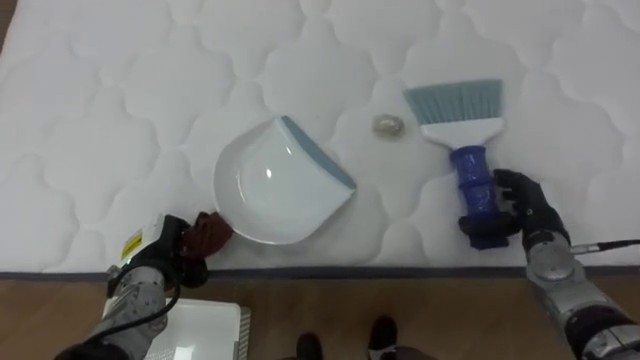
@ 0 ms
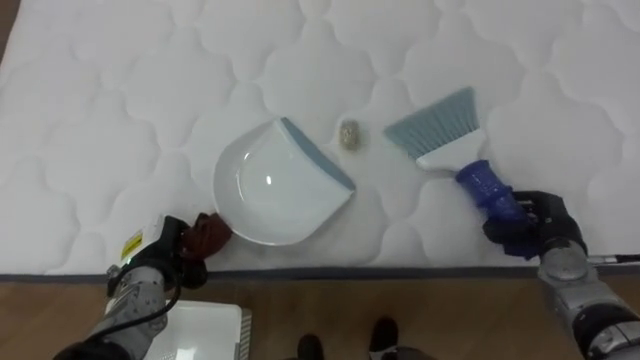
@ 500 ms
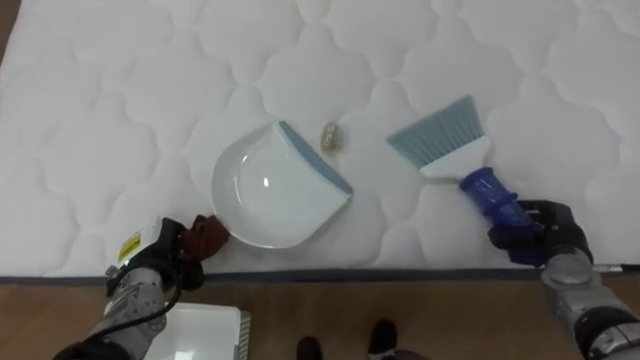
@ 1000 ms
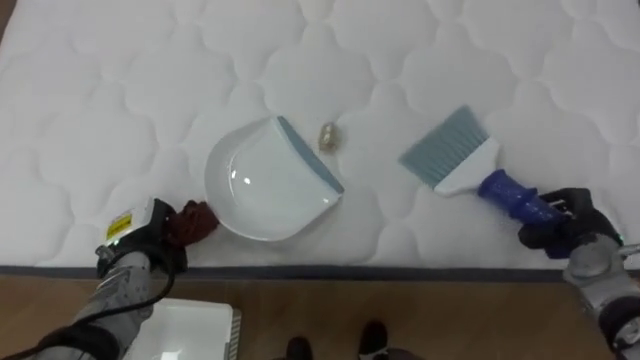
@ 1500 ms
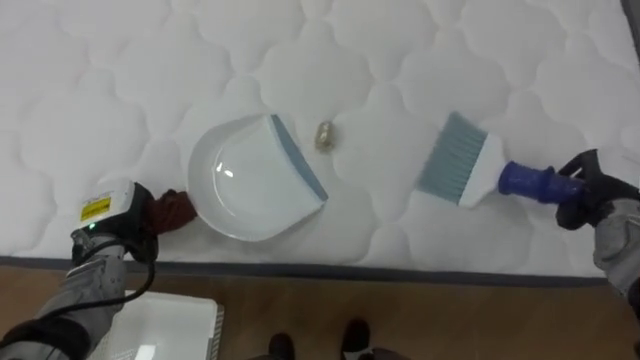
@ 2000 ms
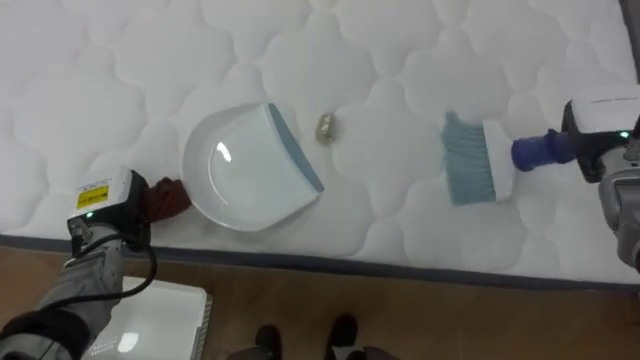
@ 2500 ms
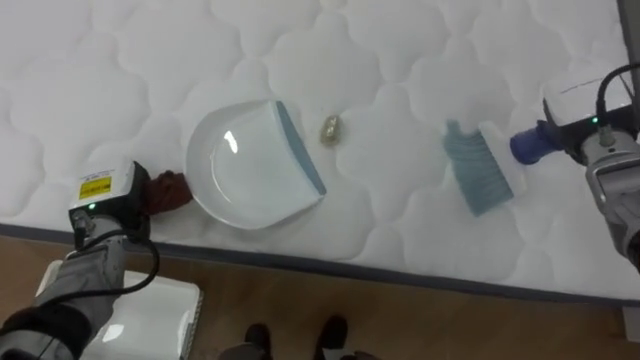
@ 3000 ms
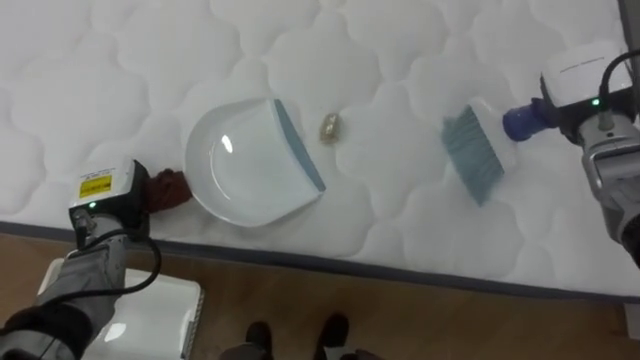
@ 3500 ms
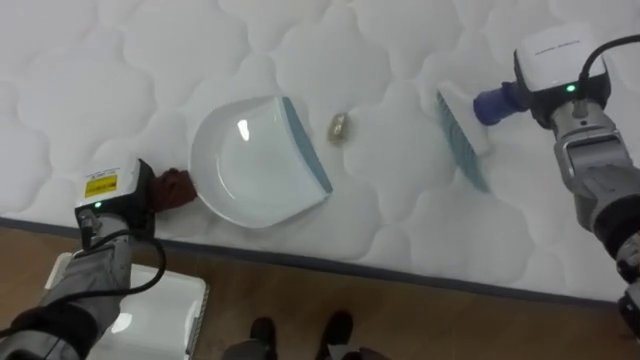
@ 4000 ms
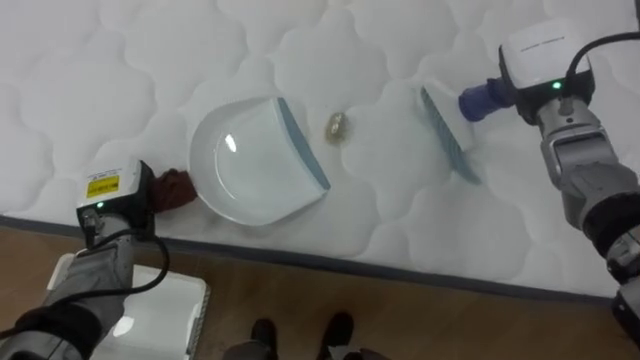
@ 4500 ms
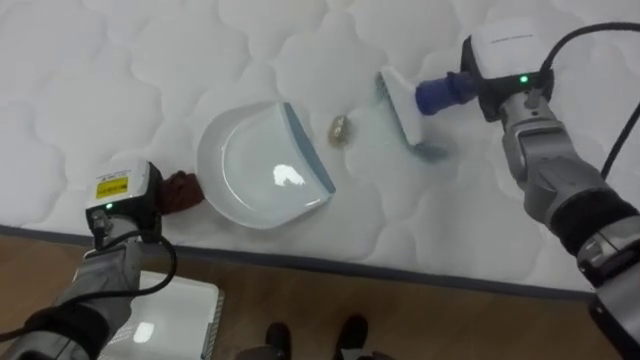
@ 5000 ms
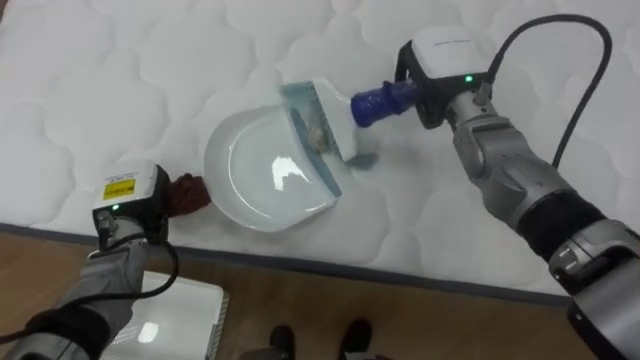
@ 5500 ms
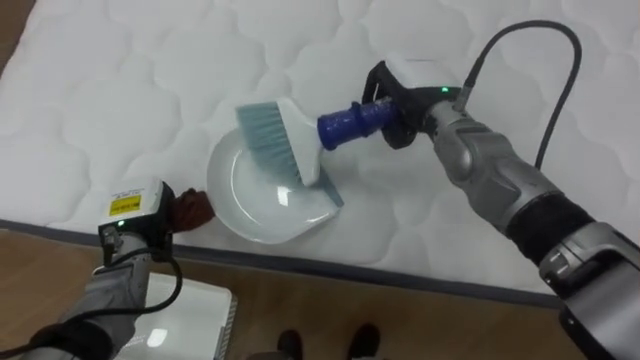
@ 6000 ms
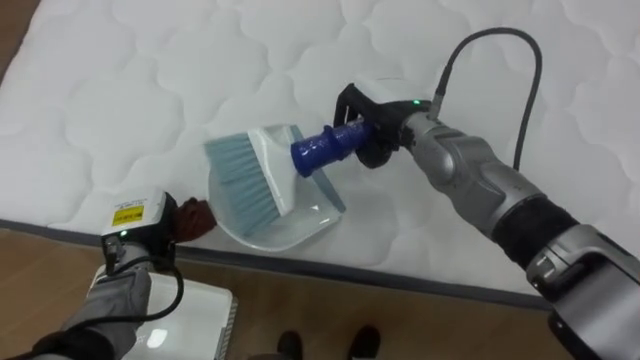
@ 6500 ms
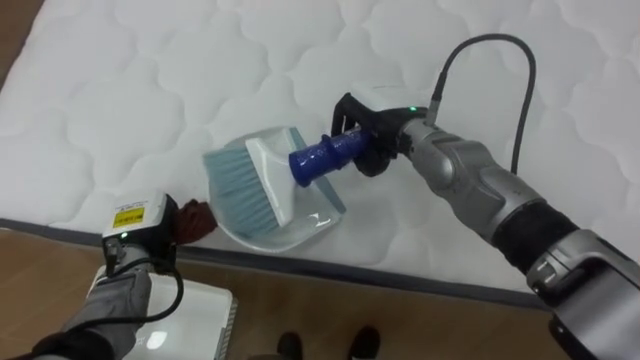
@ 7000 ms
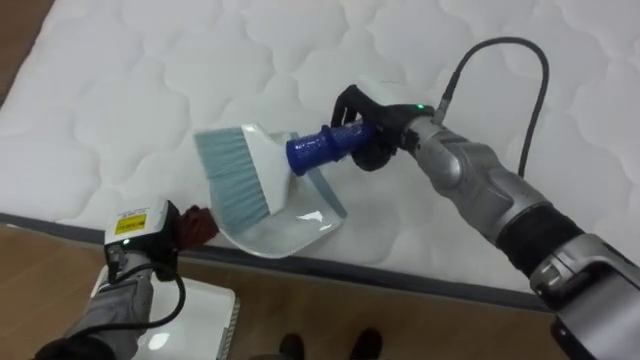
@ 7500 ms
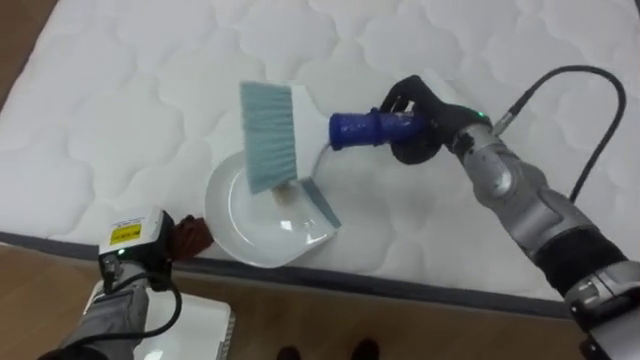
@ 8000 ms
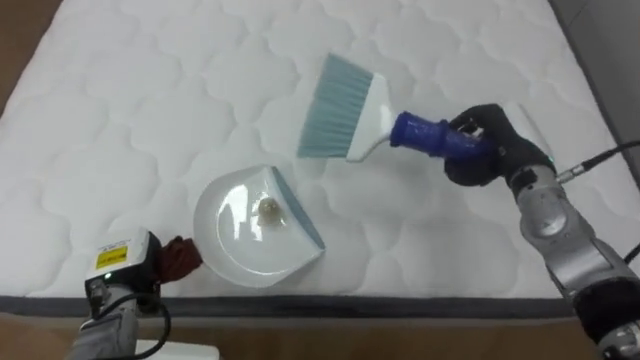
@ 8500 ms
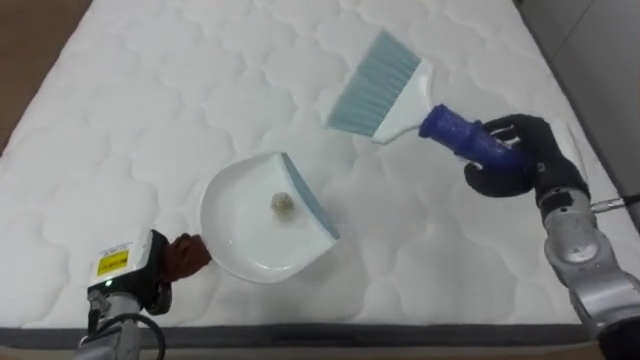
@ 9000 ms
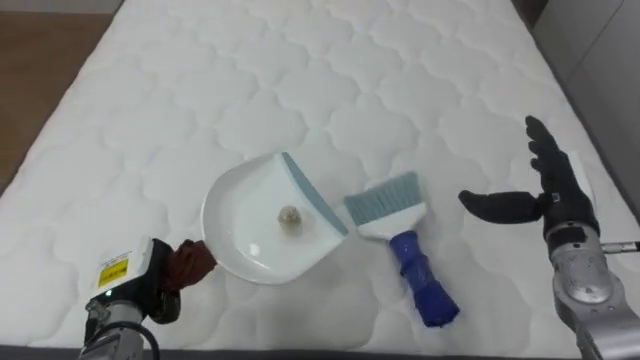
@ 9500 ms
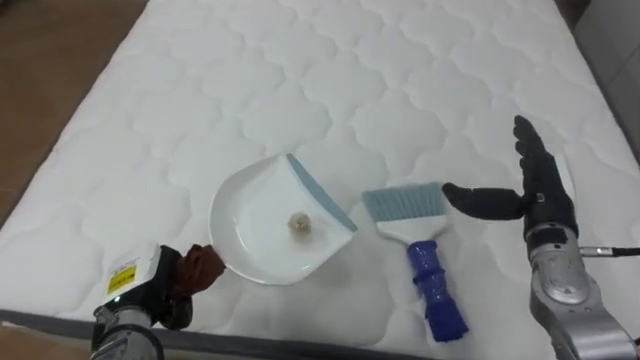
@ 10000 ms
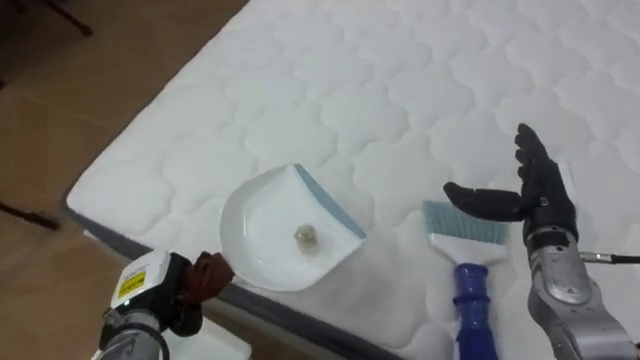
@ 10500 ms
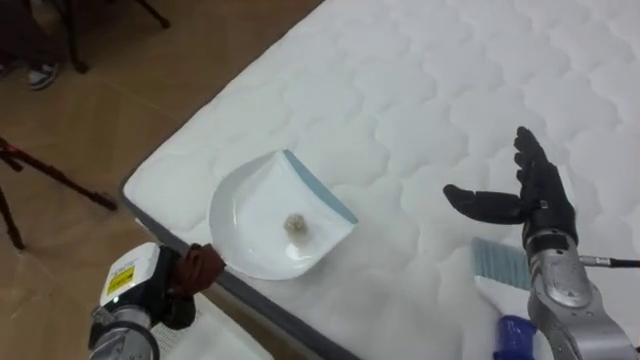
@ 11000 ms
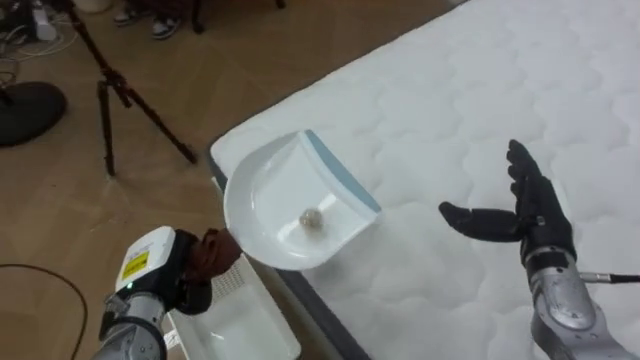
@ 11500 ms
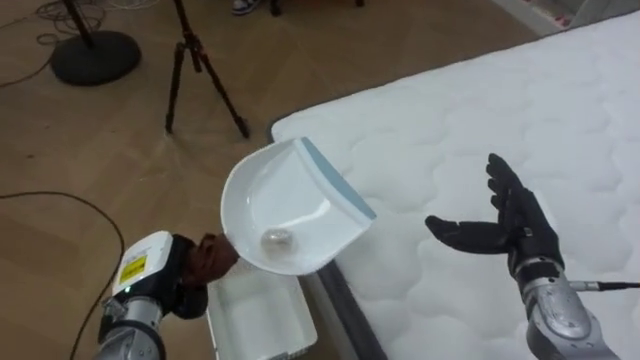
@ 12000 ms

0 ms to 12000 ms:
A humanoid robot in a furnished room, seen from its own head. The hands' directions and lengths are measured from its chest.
Task of the whole recording: Pick up the brush on your right and the dustpan on your left. Use the brush to sweep the crumpled paper on the bed into the dustpan, then turn left and empty it into the basket.
0 ms to 2000 ms: The left hand changes place by approximately 5 cm; the right hand is displaced to the right and upward by roughly 10 cm, and closes its fingers.
2000 ms to 4000 ms: The right hand heads upward, to the left and forward, covering about 20 cm.
4000 ms to 6000 ms: The right hand shifts some 15 cm to the left.
8000 ms to 10000 ms: The right hand is displaced to the right, backward and downward by some 15 cm, and opens up. Meanwhile the left hand heads backward, covering some 5 cm.
10000 ms to 12000 ms: The robot faces about 60 degrees further to its left.

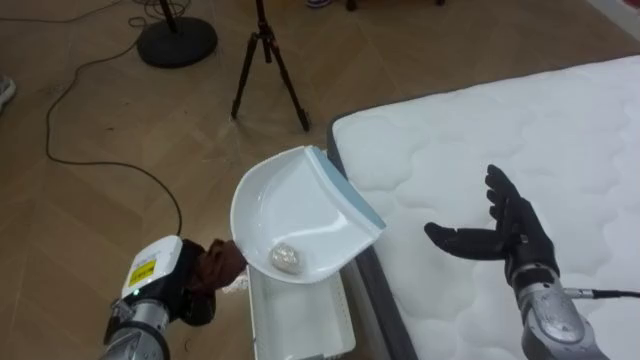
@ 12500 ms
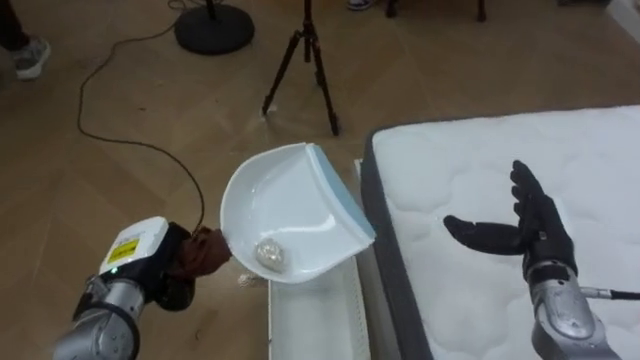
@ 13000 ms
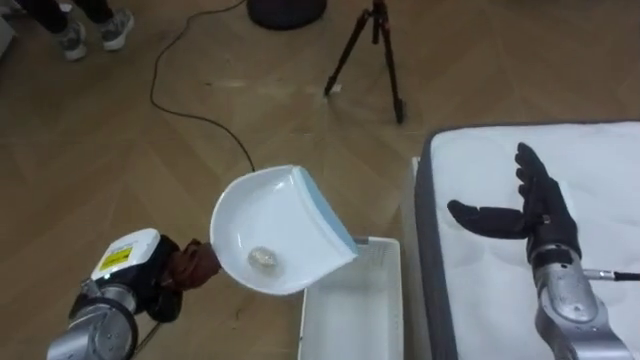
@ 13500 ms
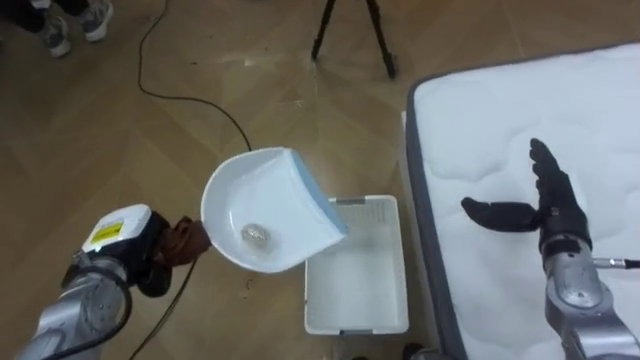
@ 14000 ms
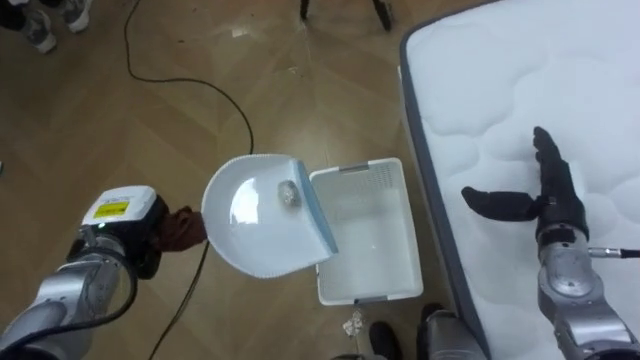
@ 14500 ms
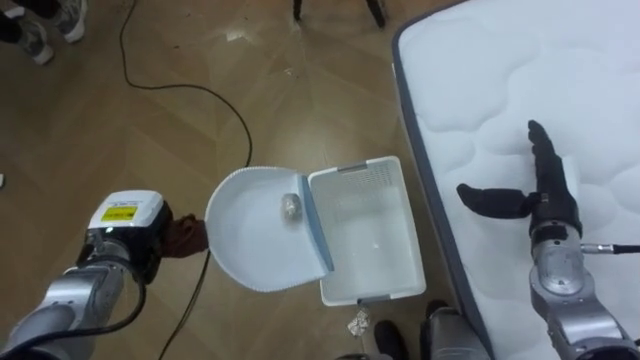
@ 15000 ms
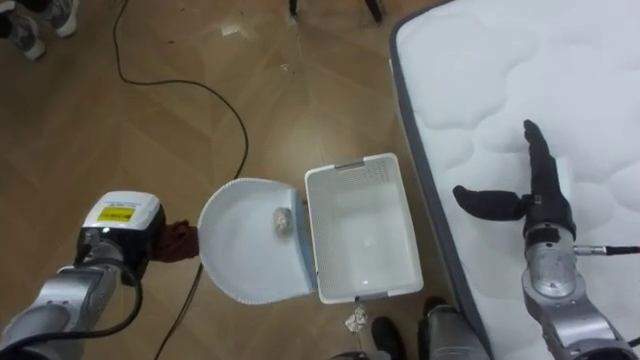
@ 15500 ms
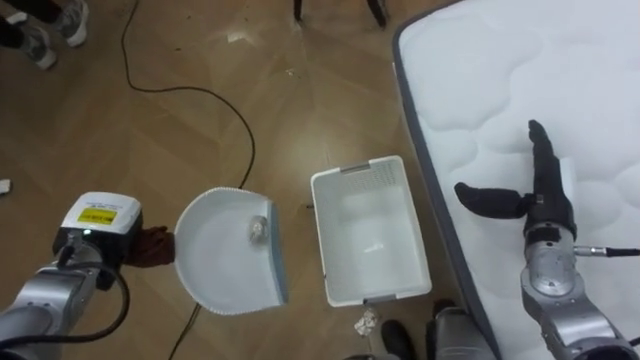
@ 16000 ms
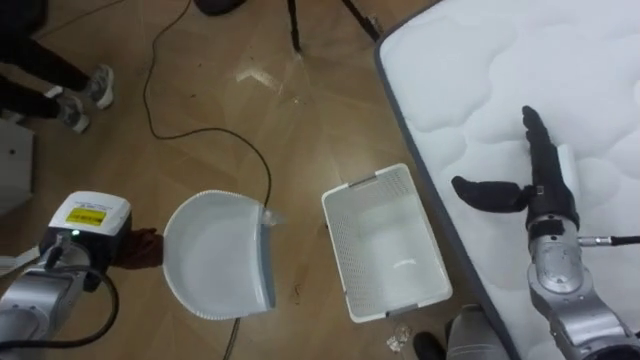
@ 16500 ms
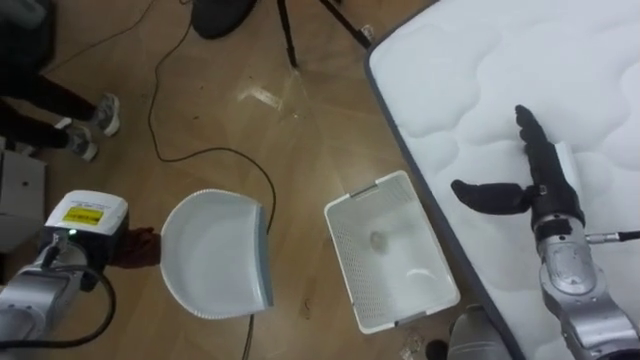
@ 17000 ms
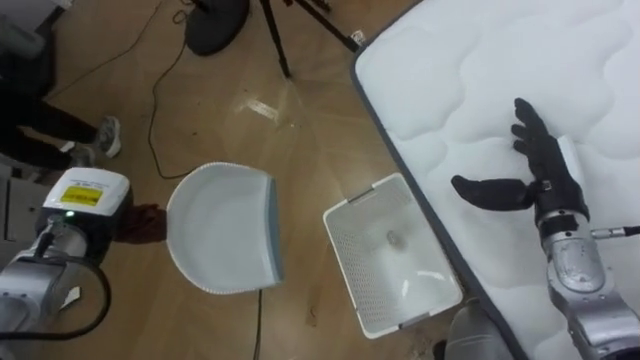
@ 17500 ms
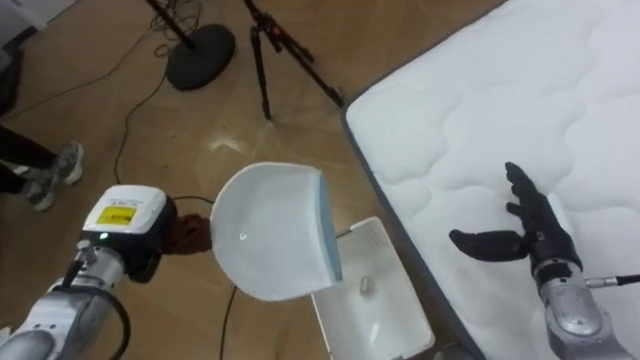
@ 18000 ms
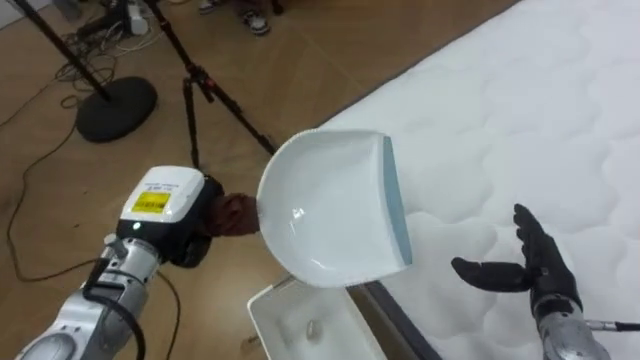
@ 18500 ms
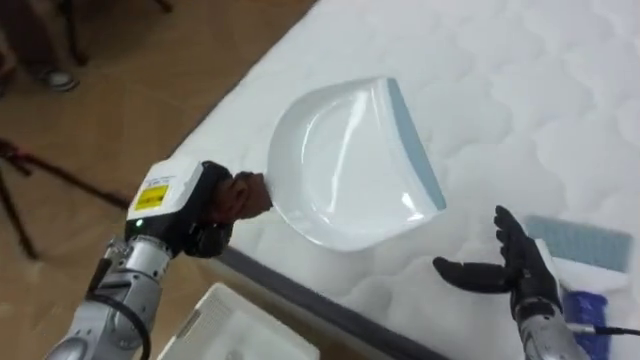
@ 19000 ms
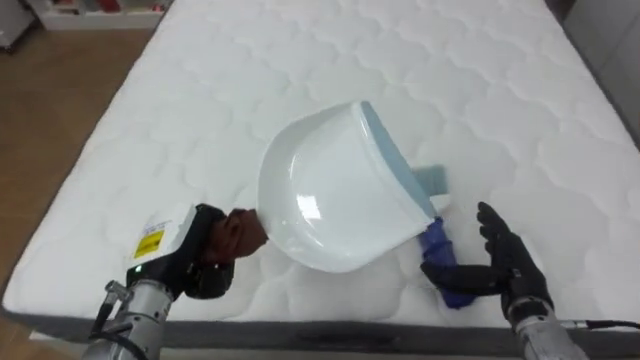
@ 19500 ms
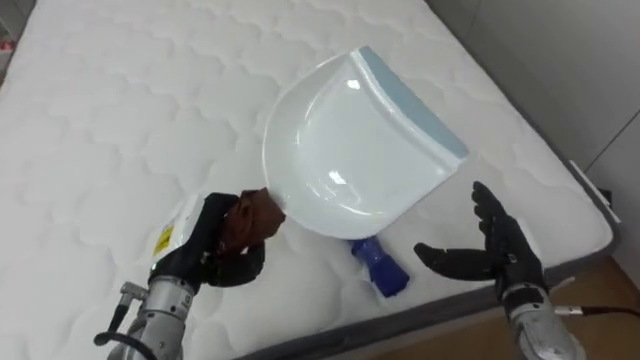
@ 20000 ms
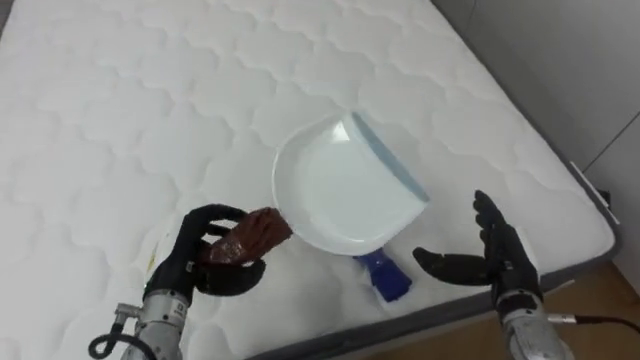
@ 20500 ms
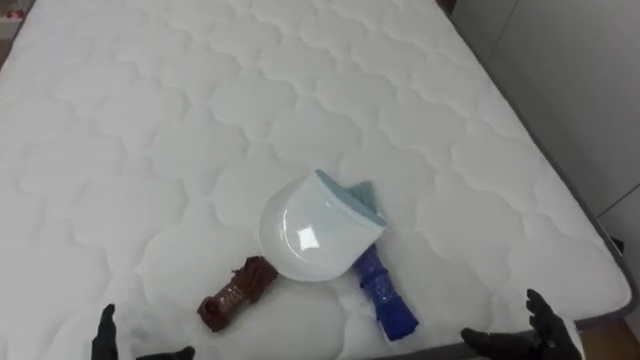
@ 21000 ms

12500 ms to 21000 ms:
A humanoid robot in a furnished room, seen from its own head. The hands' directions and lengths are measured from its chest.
Task of the whole recording: Pick up the brush on your right and the dustpan on your left. Use the brush to sweep the crumpled paper on the bed into the dustpan, then turn left and empty it into the basket.
12500 ms to 14500 ms: The right hand changes place by roughly 5 cm; the left hand goes about 5 cm forward.
16500 ms to 19000 ms: The robot rotates about 60 degrees to its right. The right hand is displaced downward and backward by approximately 10 cm. Meanwhile the left hand travels to the right and upward by some 15 cm.
19000 ms to 21000 ms: The robot rotates approximately 40 degrees to its right. The right hand travels backward and downward by approximately 10 cm.
